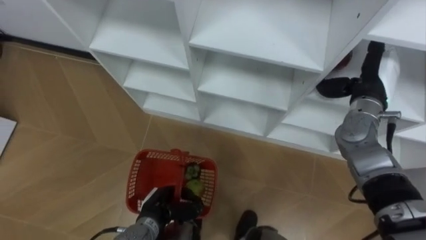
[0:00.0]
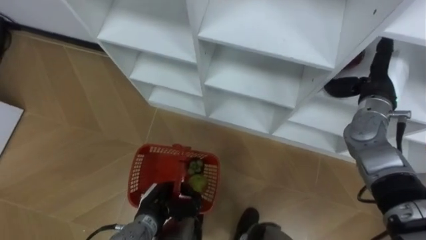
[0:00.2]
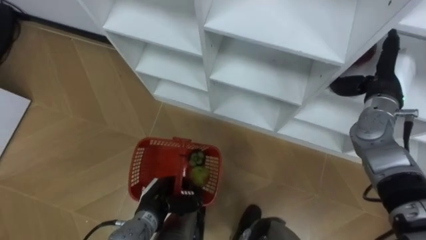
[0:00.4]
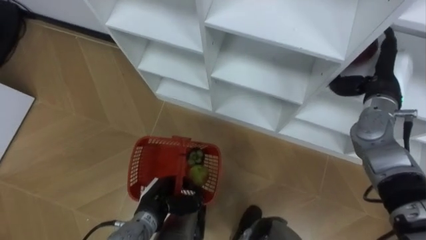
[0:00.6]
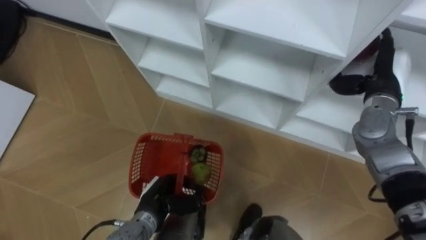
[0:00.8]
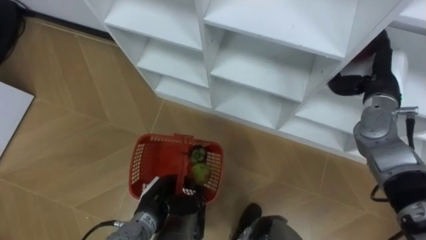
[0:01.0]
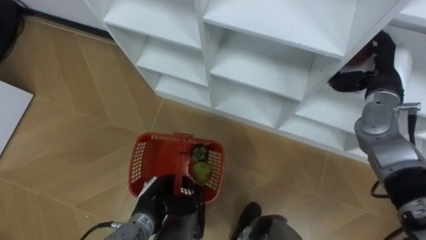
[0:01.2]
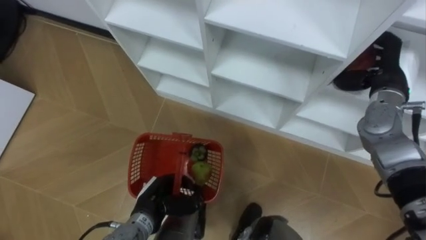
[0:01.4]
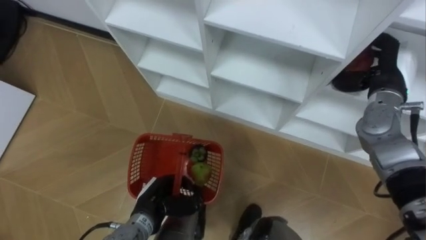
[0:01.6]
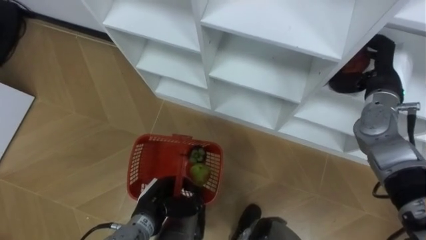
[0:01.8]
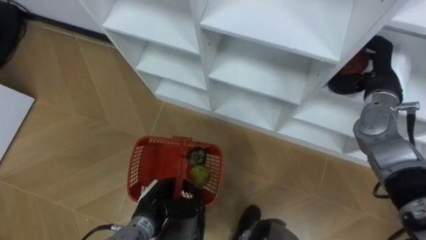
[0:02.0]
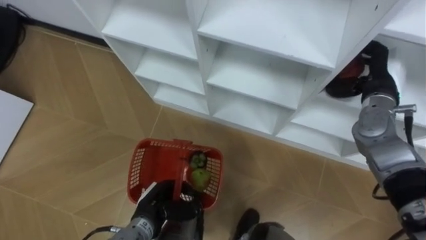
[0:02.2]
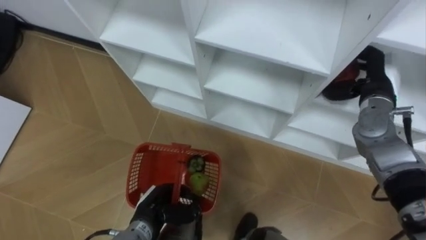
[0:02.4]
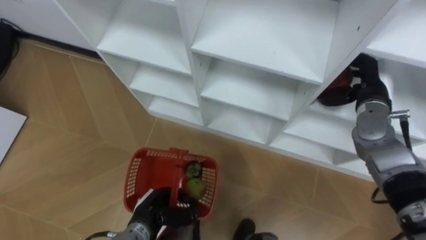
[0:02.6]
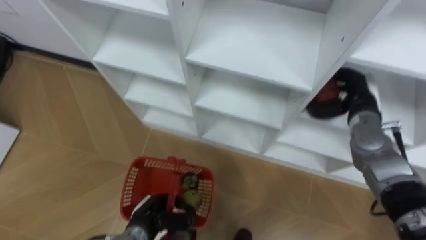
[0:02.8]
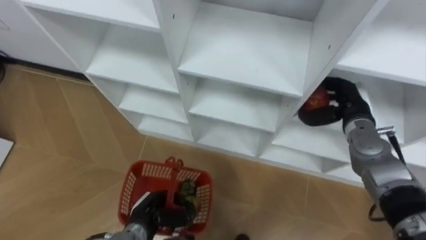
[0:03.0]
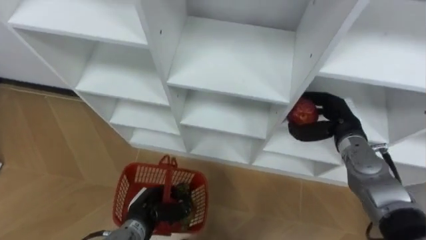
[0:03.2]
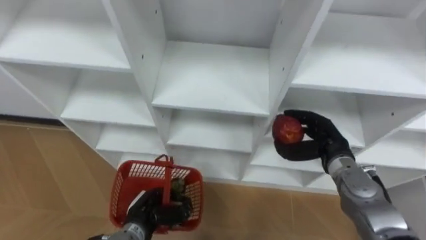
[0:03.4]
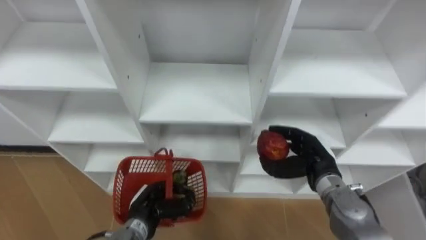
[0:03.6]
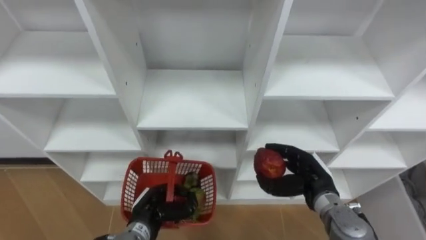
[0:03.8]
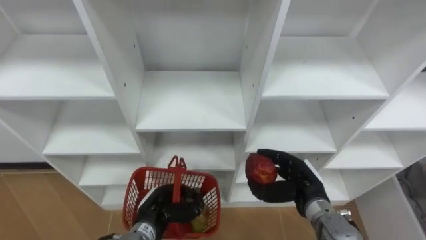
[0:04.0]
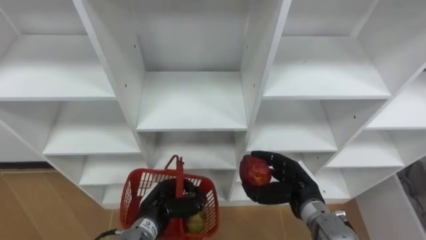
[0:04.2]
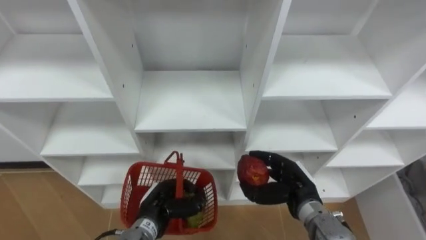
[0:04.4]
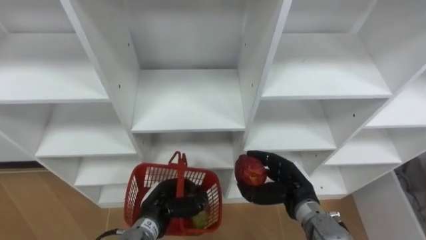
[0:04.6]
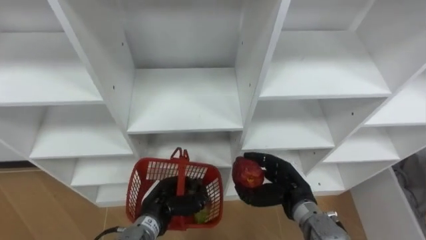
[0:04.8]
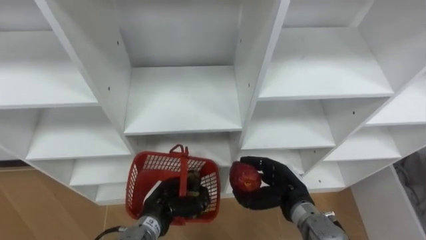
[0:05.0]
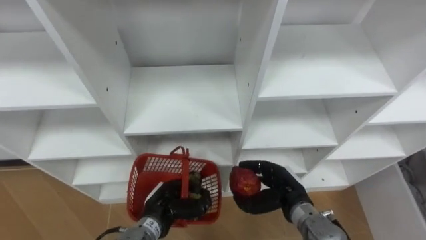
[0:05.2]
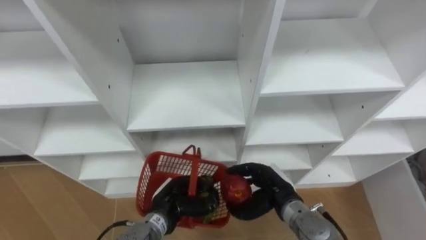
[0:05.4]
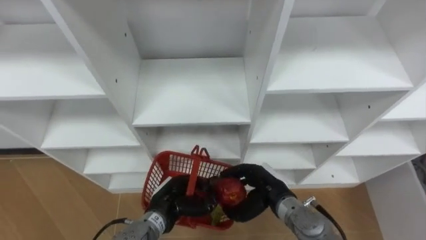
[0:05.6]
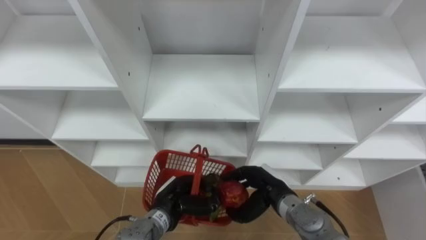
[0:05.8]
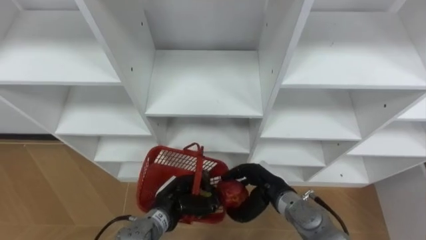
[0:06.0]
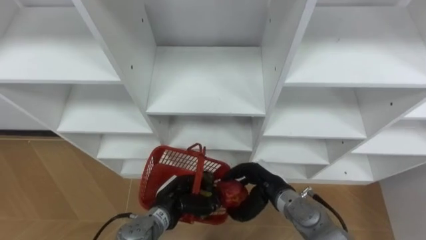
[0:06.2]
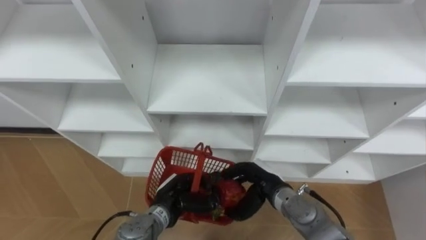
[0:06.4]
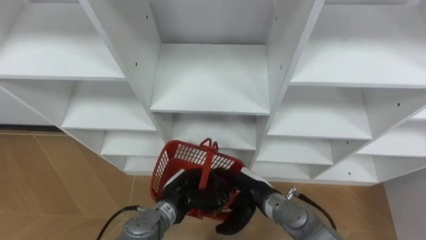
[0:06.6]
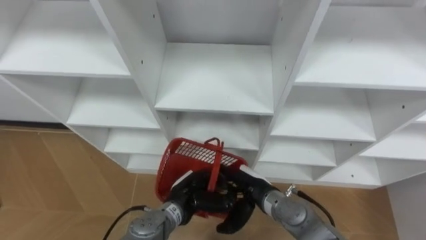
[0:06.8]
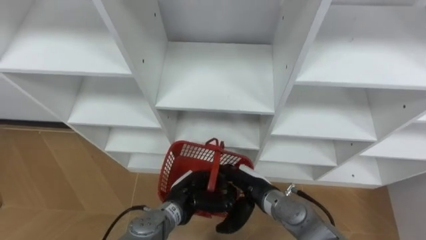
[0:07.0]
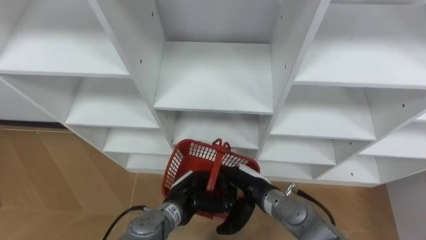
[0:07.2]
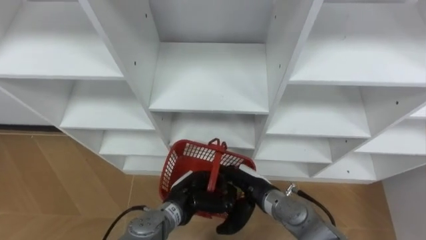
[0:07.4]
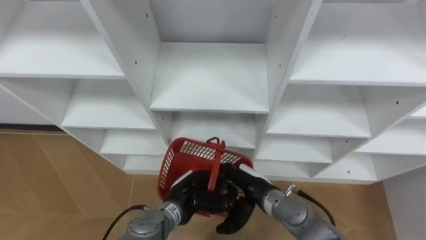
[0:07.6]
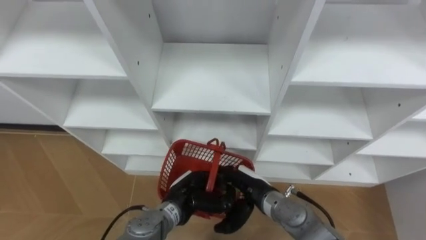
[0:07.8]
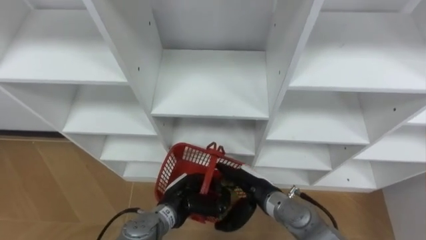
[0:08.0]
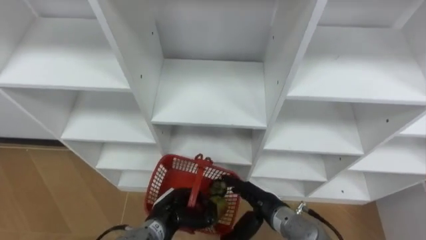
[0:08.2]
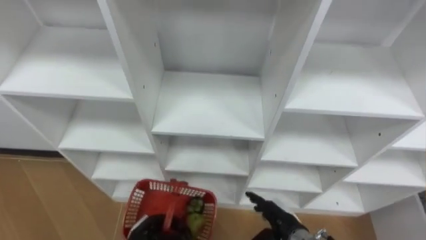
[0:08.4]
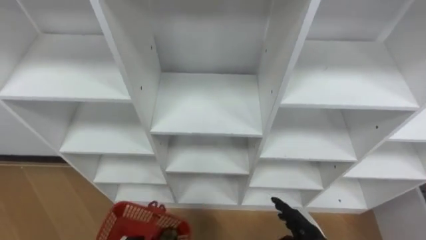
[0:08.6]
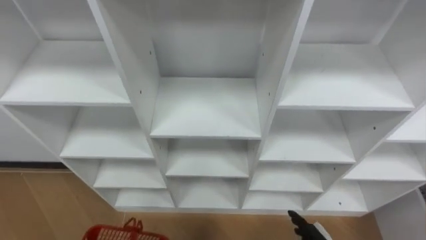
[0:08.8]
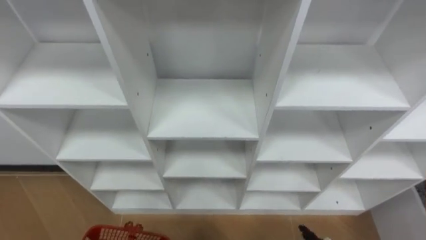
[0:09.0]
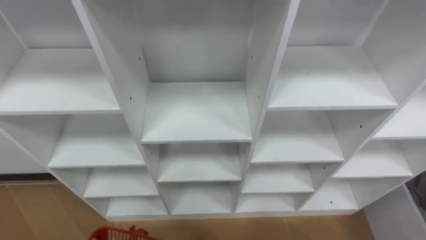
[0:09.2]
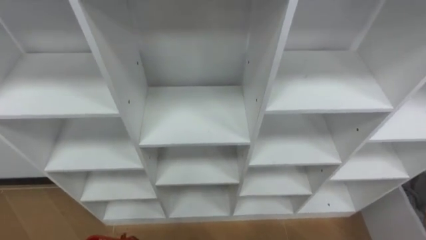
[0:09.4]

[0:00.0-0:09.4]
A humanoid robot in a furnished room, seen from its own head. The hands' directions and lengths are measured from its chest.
Task of the whole recording: Hold the basket and collect the fruits from 3 different cells of the closet into it.
0:00.0 to 0:01.6: The right hand closes up.
0:01.6 to 0:03.2: The right hand goes some 10 cm downward.
0:03.2 to 0:04.8: The right hand goes about 15 cm backward, to the left and downward.
0:04.8 to 0:06.2: The right hand heads to the left, covering some 5 cm.
0:06.2 to 0:07.8: The right hand opens its fingers.

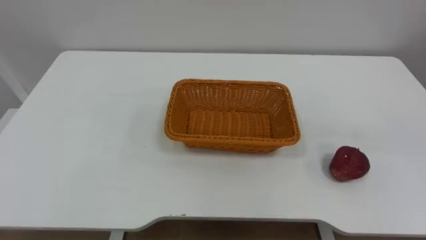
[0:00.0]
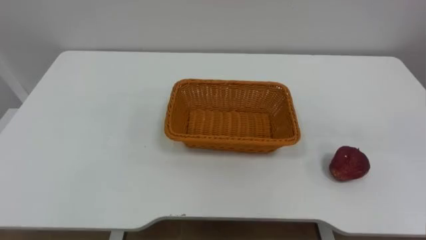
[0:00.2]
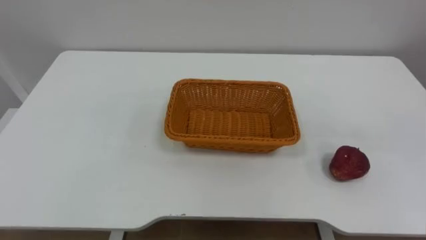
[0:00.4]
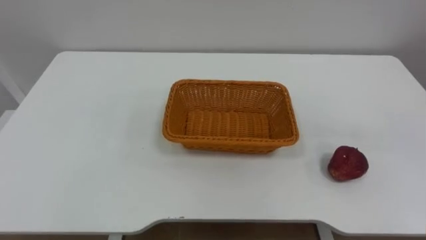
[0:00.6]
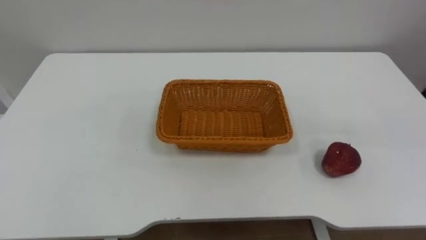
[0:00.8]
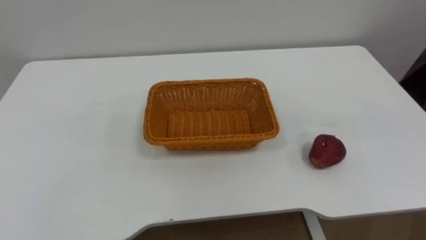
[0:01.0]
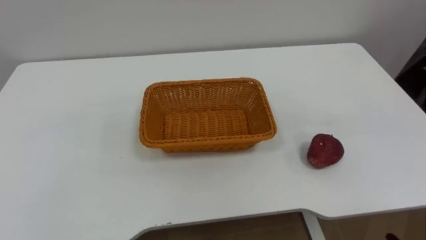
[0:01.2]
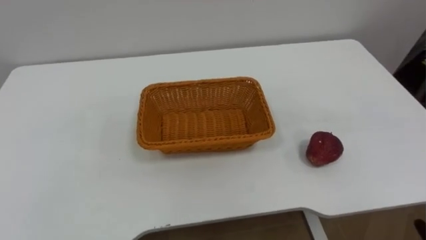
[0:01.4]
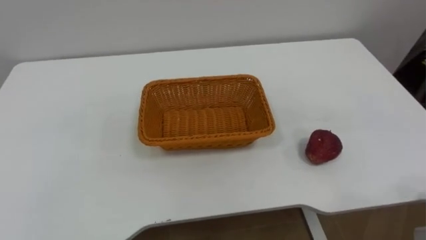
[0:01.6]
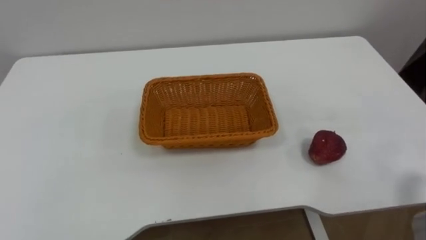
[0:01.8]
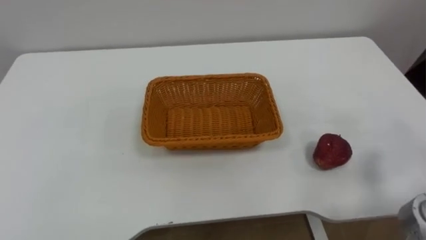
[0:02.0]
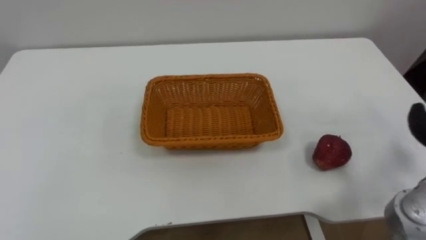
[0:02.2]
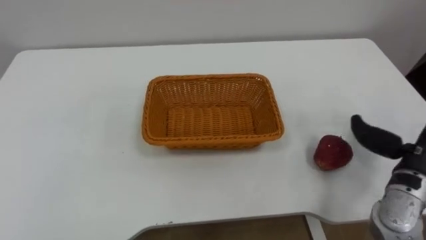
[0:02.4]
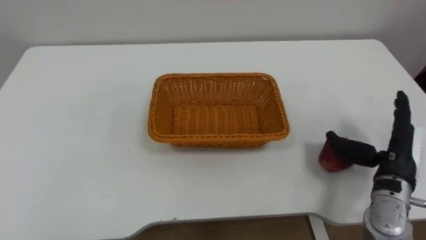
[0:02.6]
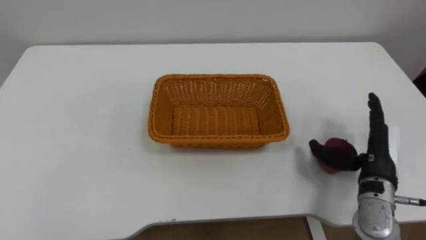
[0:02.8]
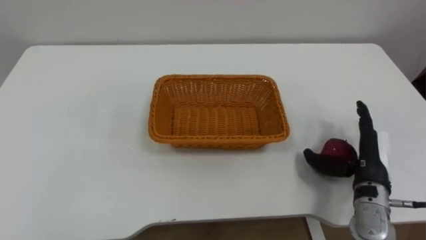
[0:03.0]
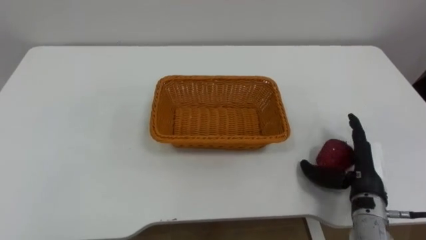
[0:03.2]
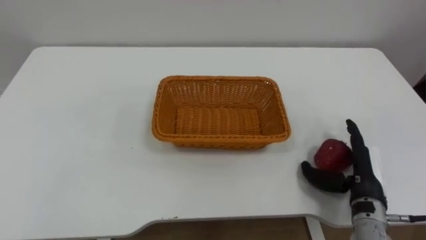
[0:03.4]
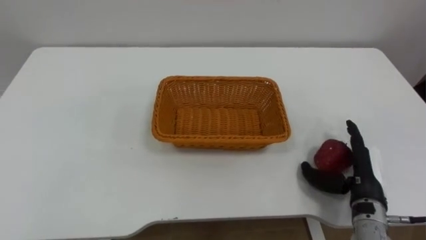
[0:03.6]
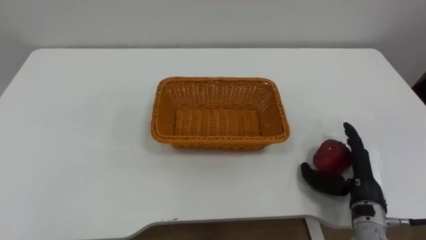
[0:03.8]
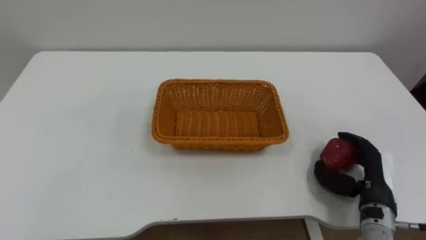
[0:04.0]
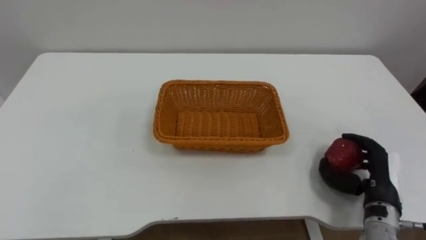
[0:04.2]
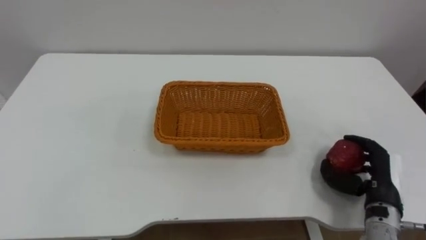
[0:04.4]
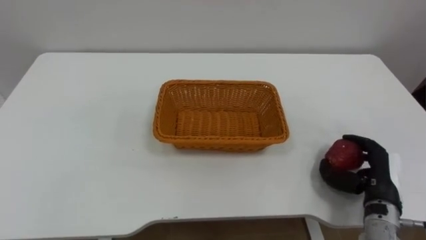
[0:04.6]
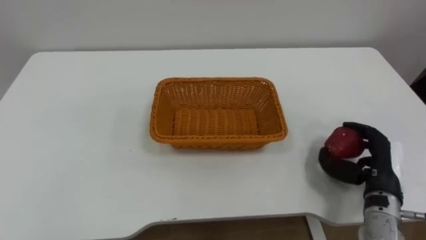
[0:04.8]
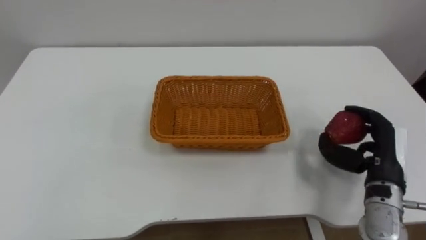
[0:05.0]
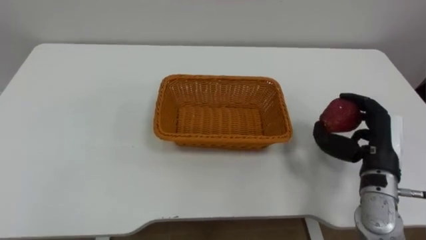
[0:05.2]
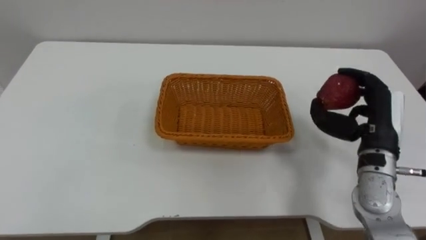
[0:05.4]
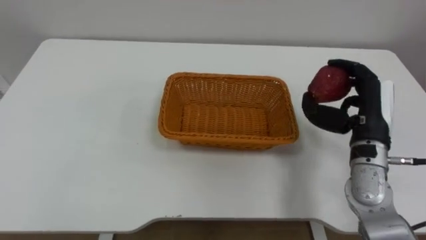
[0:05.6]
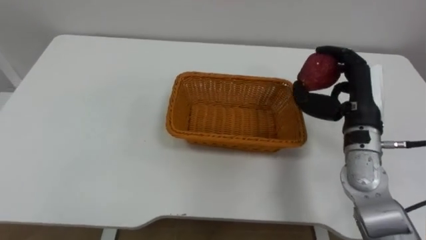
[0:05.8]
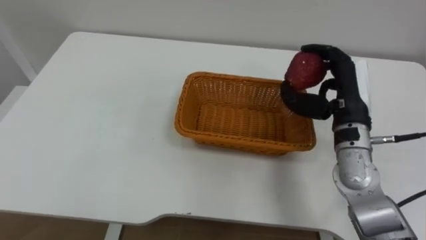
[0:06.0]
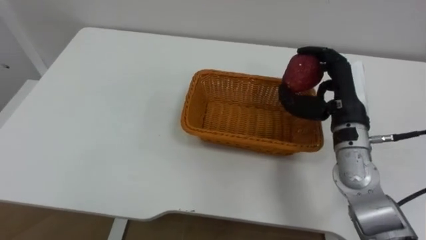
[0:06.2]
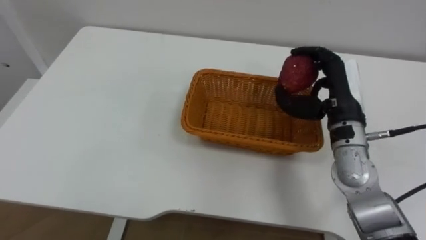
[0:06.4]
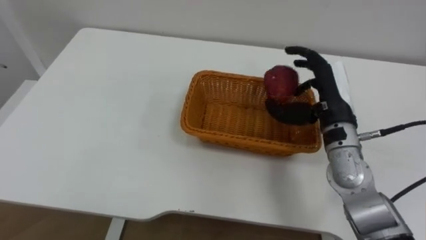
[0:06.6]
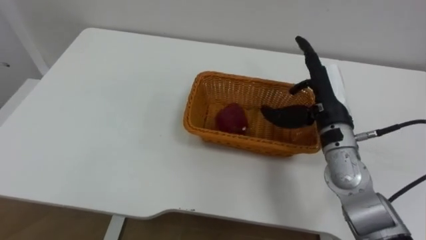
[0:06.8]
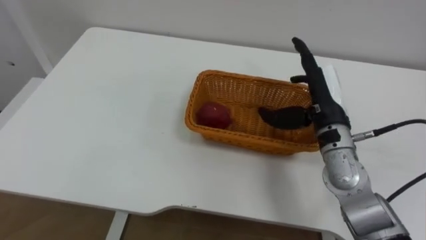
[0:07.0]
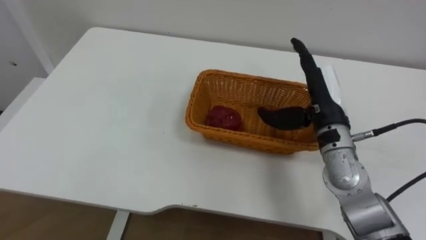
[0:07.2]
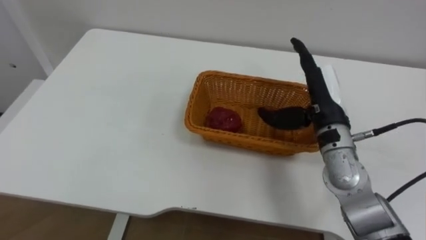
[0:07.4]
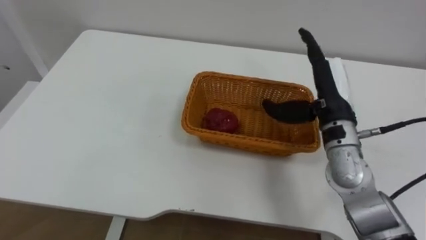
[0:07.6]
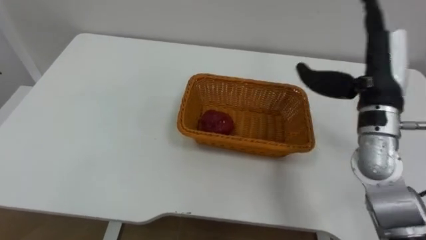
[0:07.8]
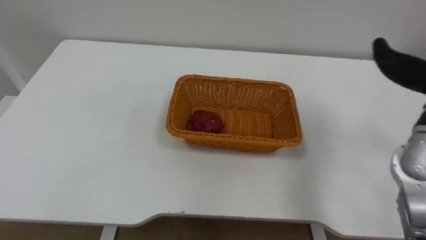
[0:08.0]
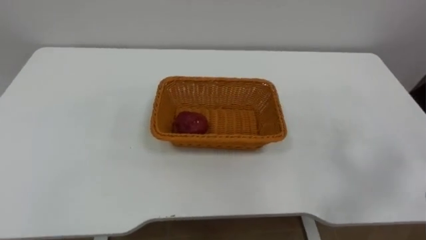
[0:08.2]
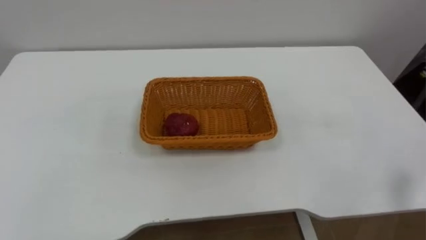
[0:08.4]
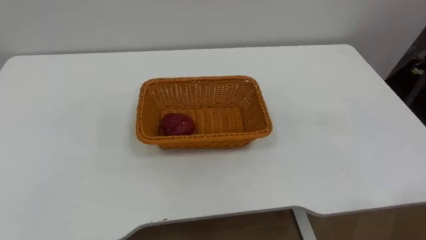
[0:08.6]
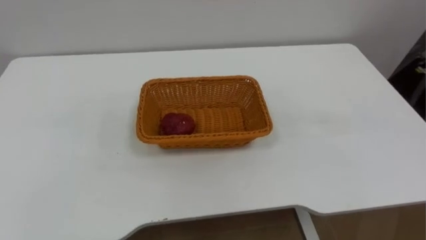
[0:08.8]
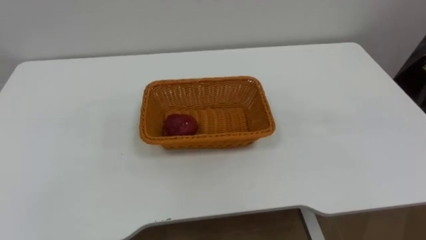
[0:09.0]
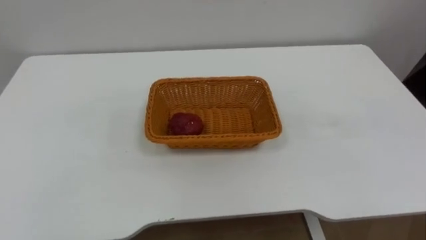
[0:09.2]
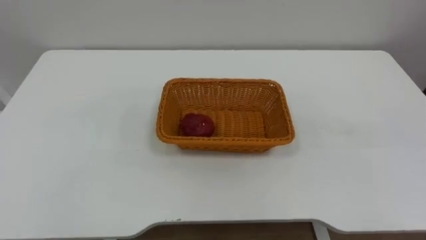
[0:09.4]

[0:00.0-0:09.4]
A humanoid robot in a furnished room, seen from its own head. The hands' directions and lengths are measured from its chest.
Task of the whole recording: Pick the apple and place it in the box.
0:03.2 to 0:04.8: The right hand closes its fingers.
0:04.8 to 0:06.2: The right hand goes about 15 cm upward, forward and to the left.
0:06.2 to 0:07.8: The right hand shifts roughly 5 cm upward, and opens up.
